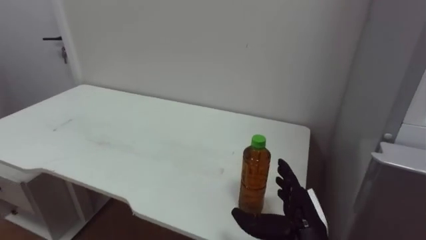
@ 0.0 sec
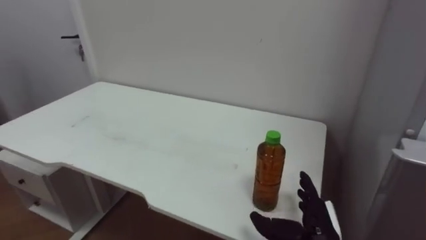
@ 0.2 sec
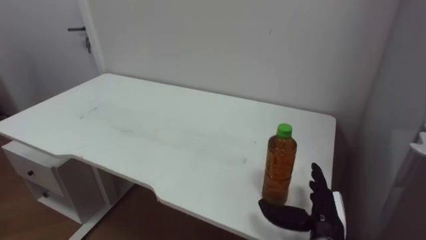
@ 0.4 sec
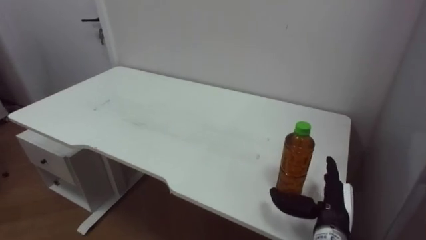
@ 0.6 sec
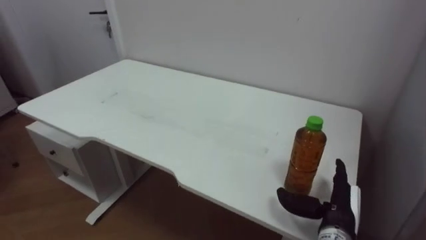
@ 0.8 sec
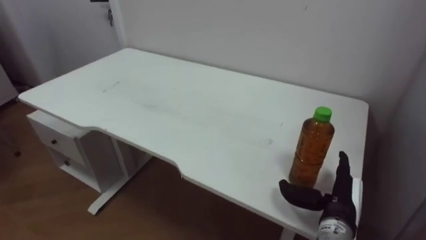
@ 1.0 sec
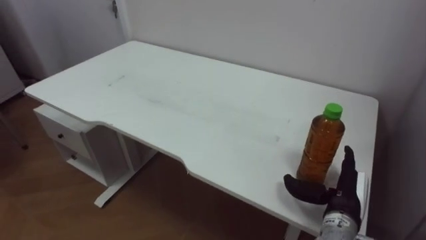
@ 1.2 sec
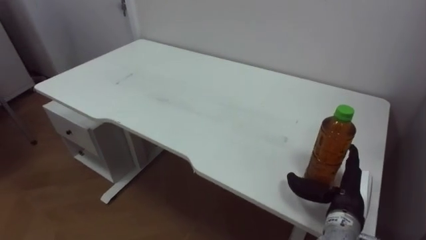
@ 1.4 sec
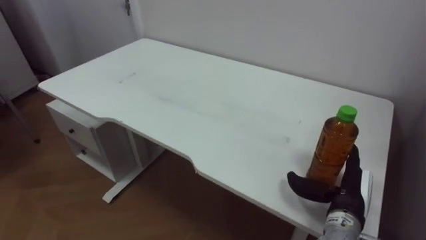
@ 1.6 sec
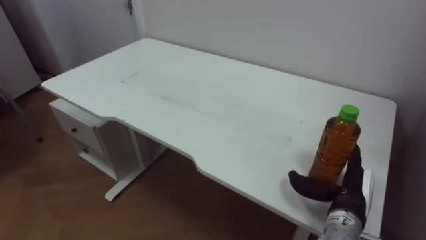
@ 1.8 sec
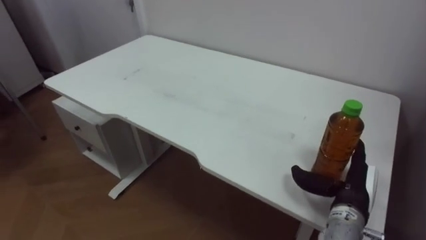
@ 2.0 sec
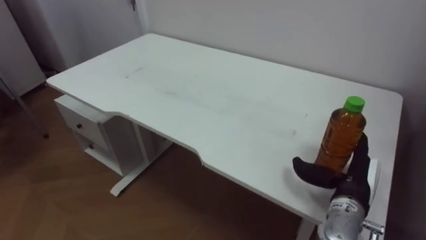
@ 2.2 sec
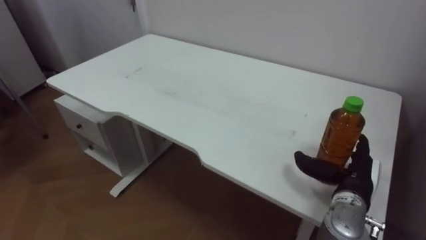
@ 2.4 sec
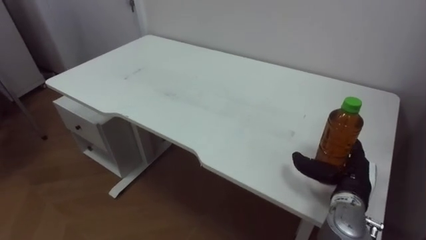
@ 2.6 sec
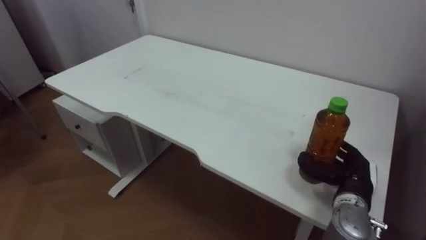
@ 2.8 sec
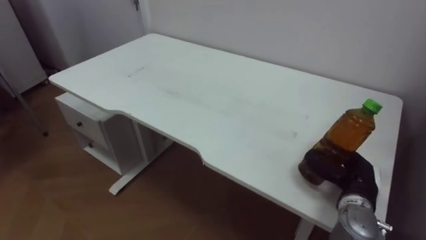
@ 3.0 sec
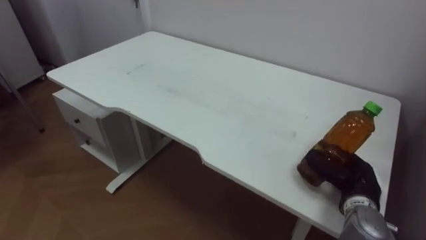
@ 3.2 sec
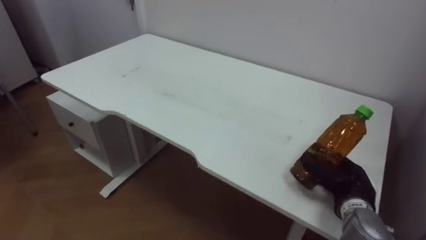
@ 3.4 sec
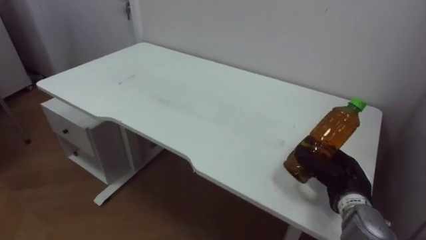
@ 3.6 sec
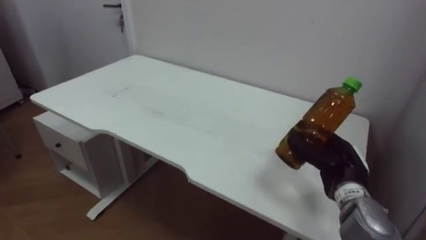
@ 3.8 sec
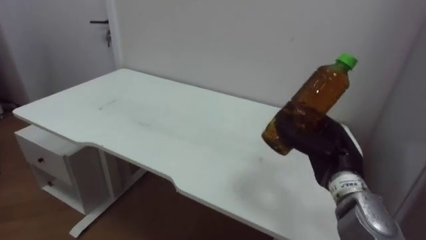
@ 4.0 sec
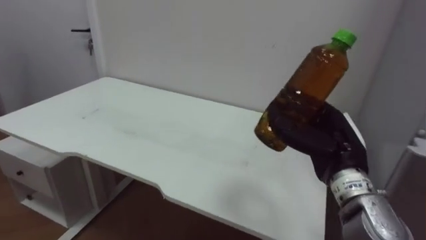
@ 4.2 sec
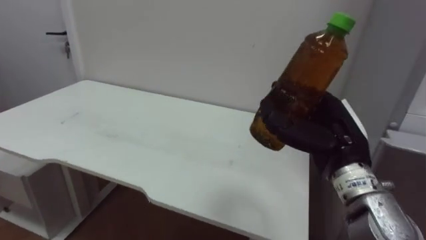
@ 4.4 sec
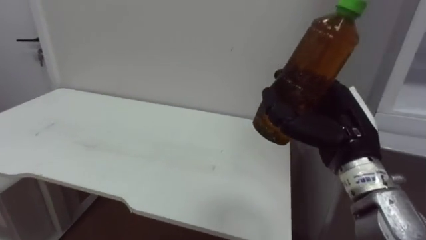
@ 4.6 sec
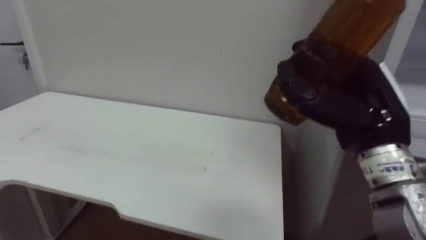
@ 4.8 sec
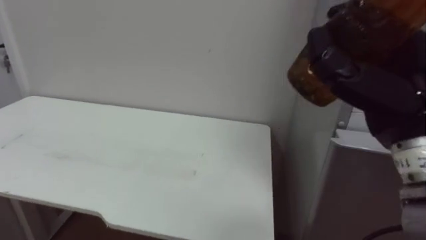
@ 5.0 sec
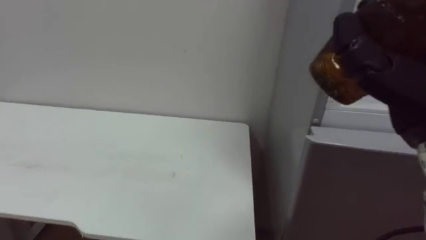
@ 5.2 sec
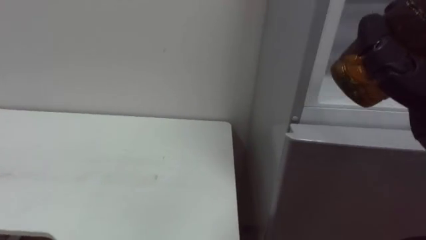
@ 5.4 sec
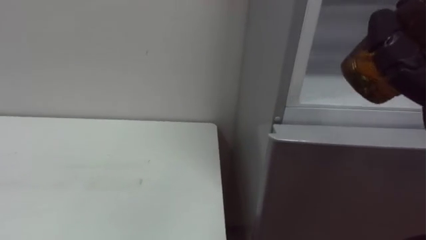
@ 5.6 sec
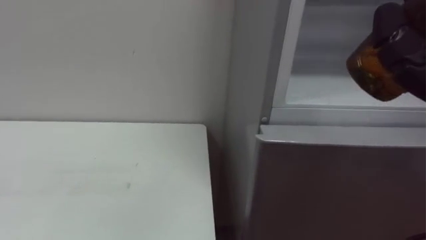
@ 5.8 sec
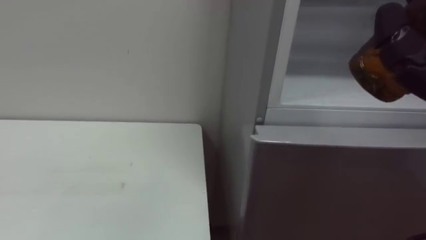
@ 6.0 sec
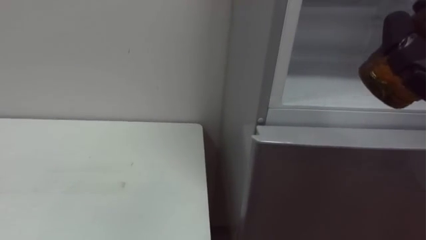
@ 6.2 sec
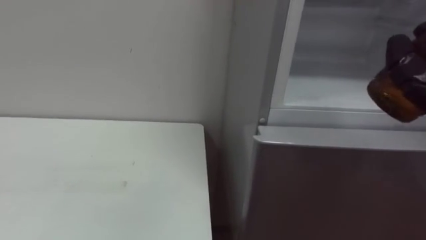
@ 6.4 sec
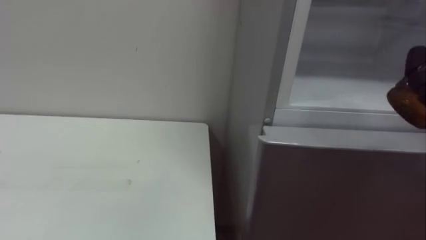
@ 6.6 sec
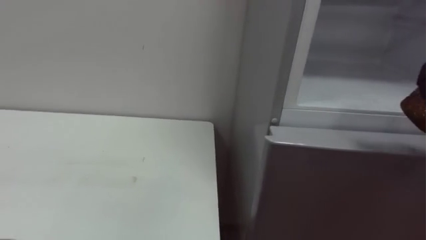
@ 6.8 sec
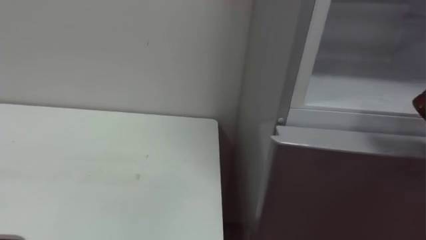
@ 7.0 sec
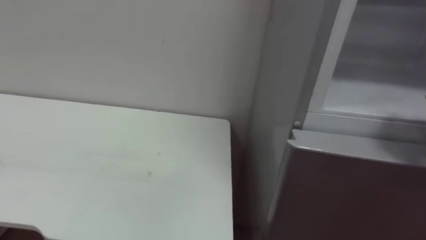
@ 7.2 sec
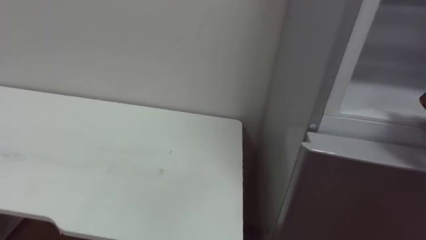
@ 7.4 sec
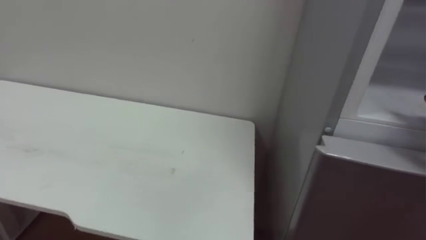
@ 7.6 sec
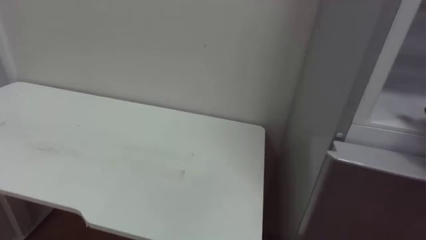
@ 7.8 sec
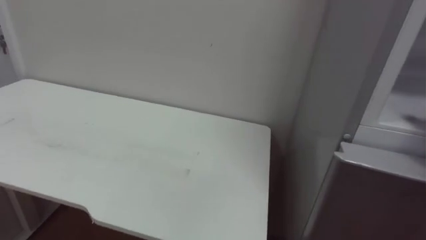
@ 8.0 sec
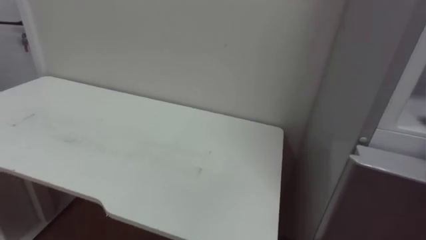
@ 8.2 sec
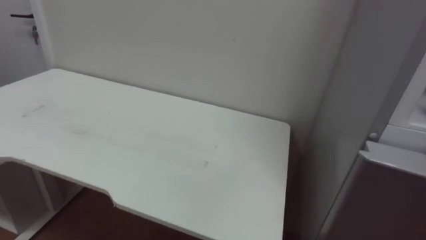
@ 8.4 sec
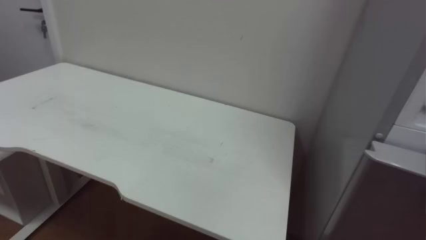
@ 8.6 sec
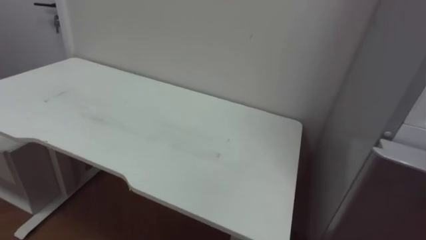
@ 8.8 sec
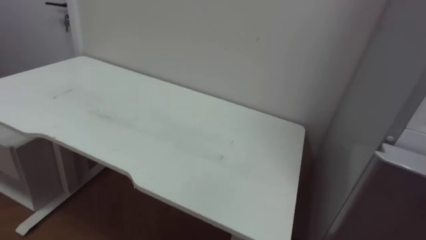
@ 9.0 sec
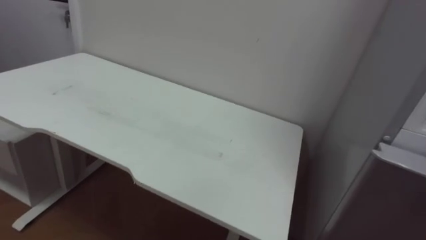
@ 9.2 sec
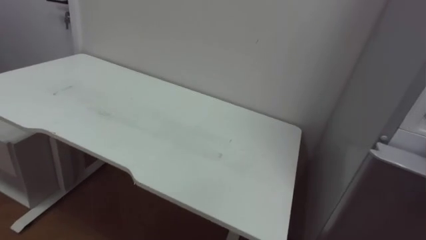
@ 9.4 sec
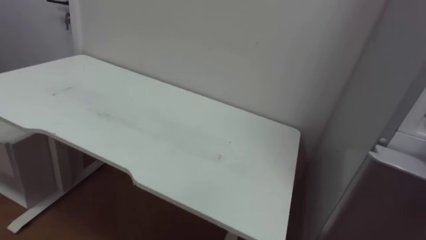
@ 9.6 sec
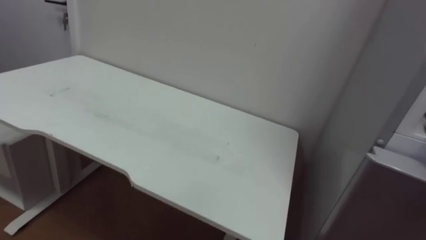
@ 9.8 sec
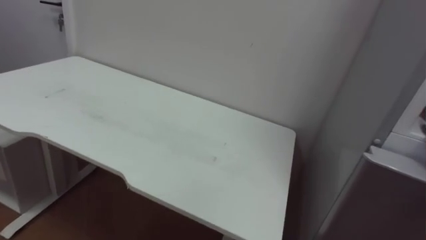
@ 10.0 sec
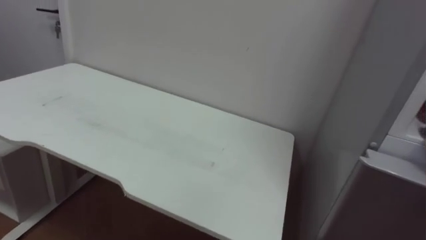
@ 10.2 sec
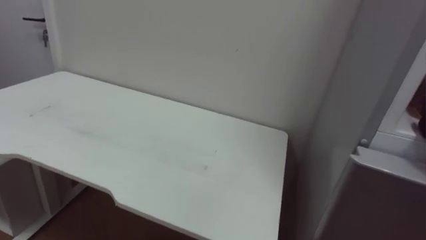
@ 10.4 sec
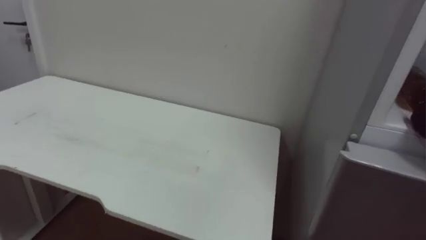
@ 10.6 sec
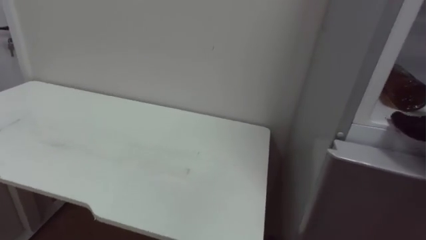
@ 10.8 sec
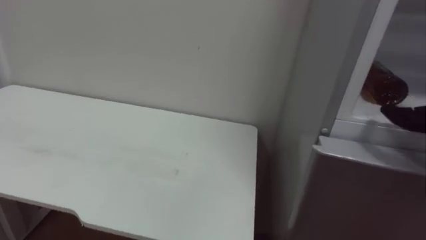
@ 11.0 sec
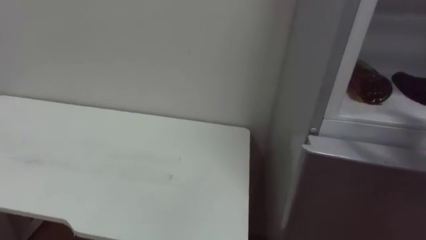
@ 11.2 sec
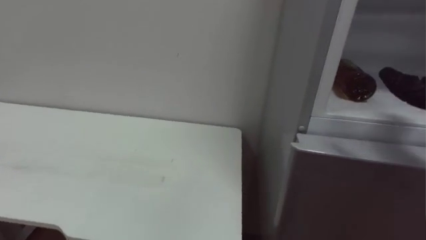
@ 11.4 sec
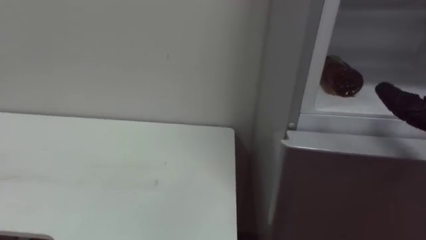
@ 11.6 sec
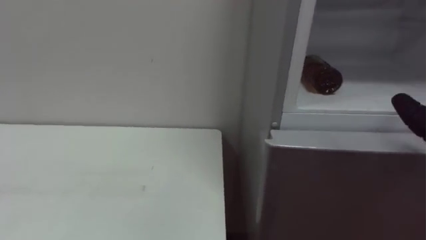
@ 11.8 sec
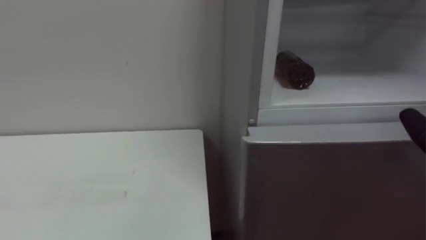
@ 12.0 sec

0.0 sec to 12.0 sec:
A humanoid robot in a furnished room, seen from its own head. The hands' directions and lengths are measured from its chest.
Task of the whole recording: Open the upper refrigerator door, put the drink from the table into the refrigerator, and then close the refrigerator door.
0.0 sec to 1.6 sec: The right hand goes approximately 10 cm to the right.
1.6 sec to 3.0 sec: The right hand closes up.
3.0 sec to 4.4 sec: The right hand is displaced upward and to the left by some 15 cm.
